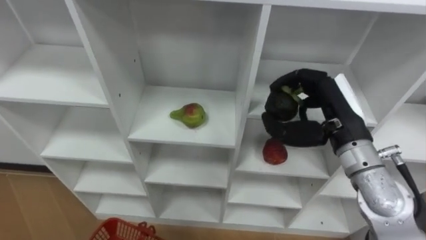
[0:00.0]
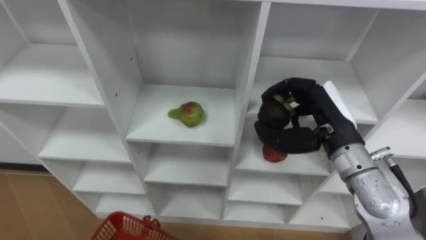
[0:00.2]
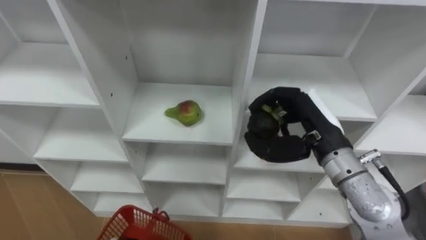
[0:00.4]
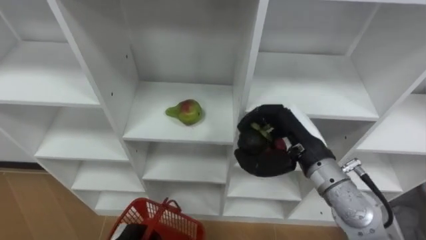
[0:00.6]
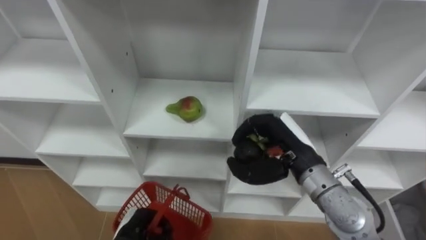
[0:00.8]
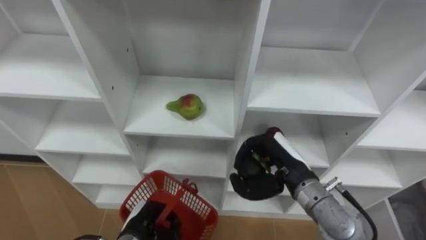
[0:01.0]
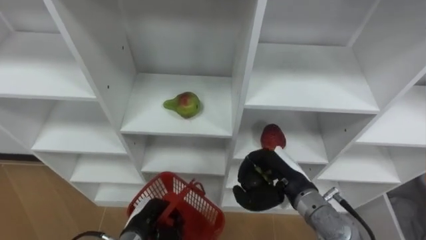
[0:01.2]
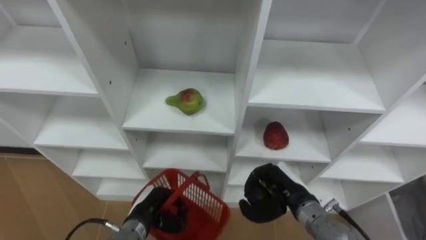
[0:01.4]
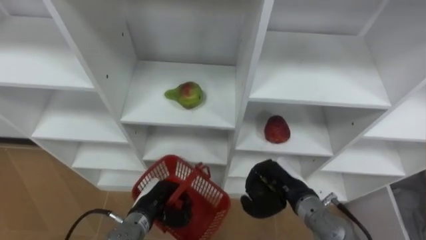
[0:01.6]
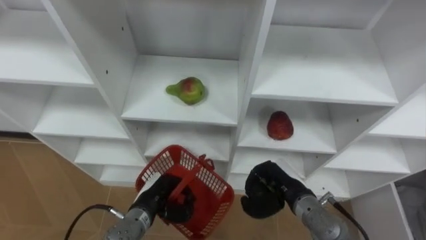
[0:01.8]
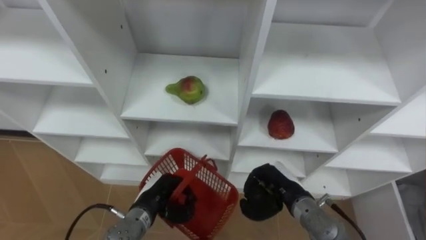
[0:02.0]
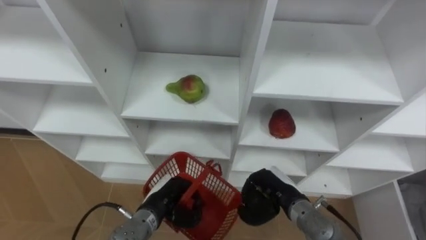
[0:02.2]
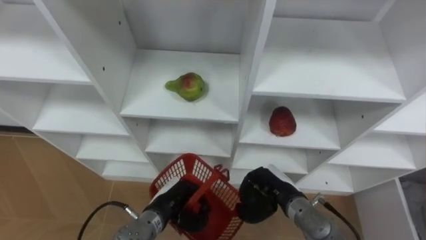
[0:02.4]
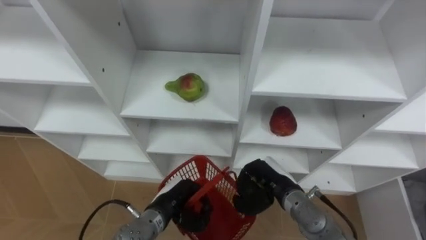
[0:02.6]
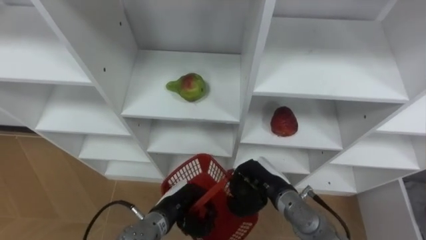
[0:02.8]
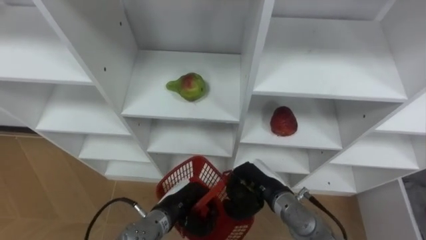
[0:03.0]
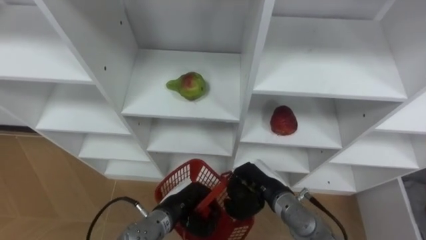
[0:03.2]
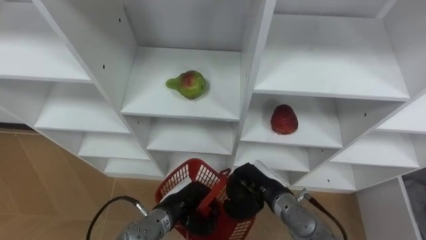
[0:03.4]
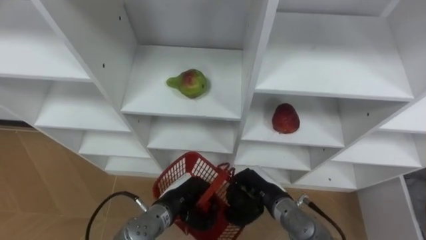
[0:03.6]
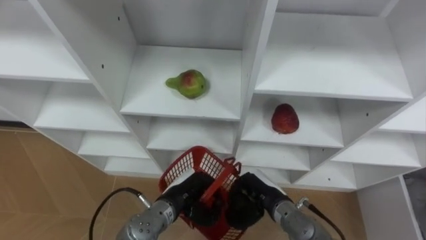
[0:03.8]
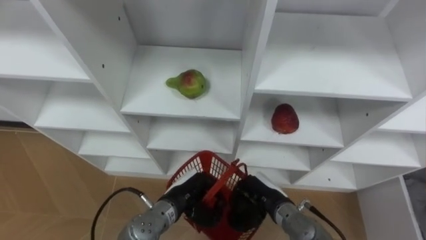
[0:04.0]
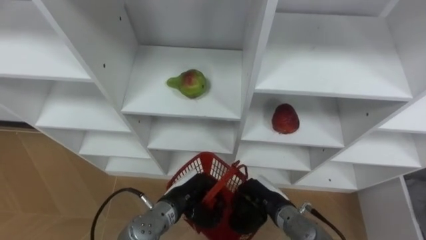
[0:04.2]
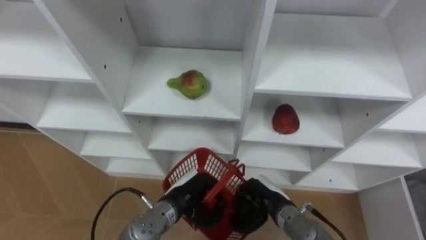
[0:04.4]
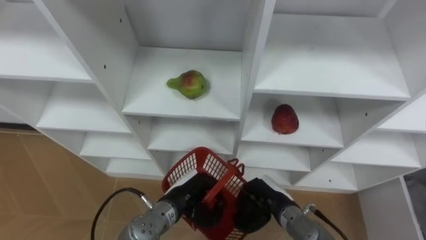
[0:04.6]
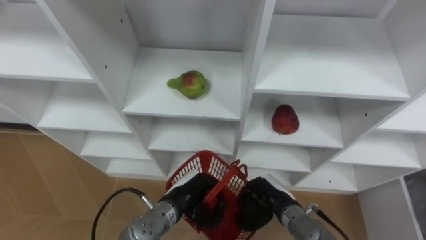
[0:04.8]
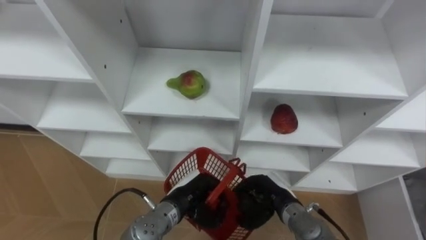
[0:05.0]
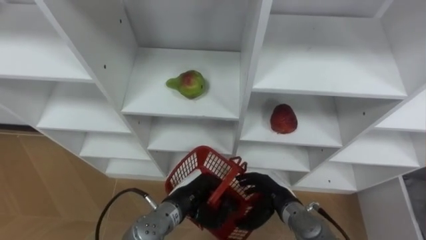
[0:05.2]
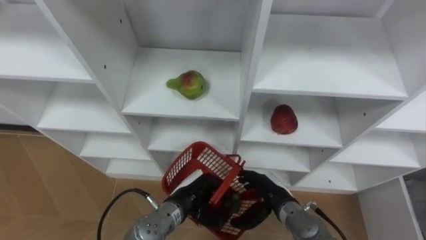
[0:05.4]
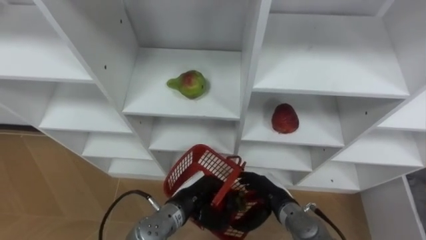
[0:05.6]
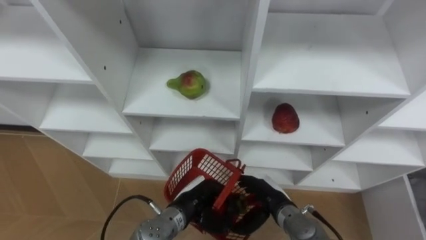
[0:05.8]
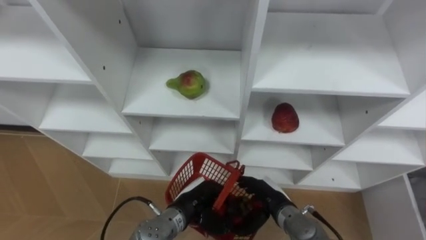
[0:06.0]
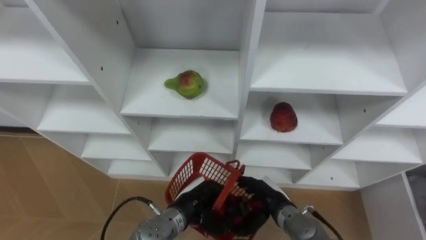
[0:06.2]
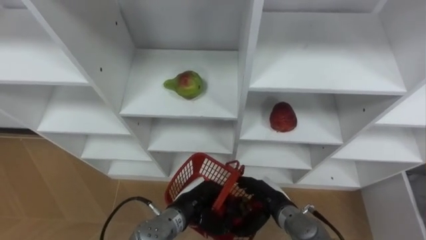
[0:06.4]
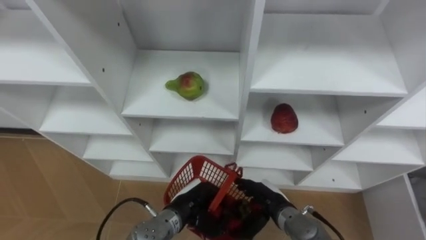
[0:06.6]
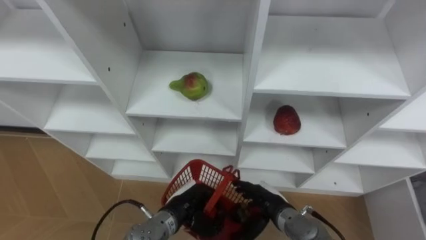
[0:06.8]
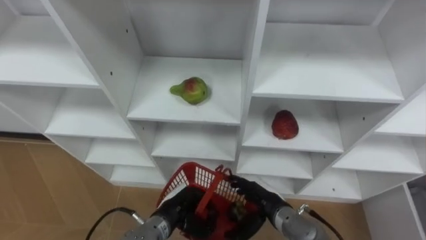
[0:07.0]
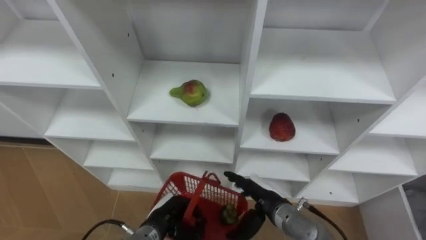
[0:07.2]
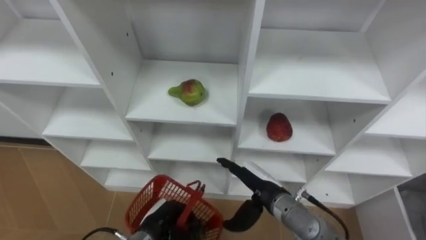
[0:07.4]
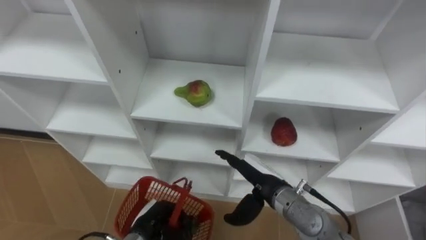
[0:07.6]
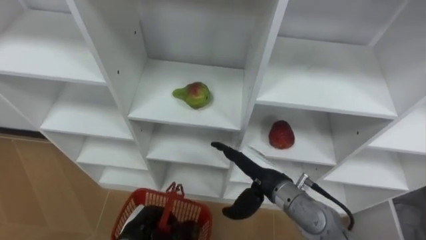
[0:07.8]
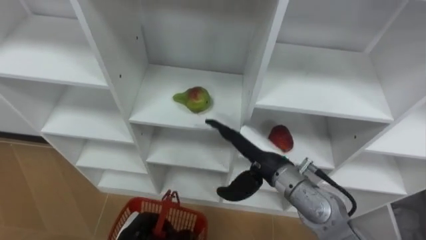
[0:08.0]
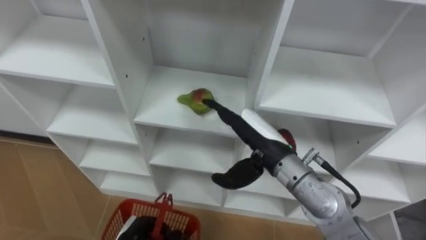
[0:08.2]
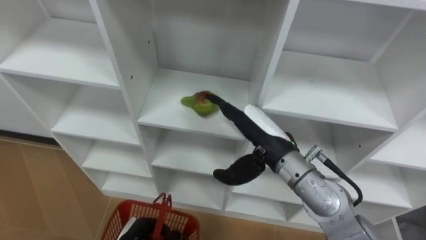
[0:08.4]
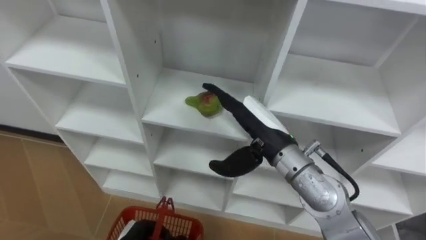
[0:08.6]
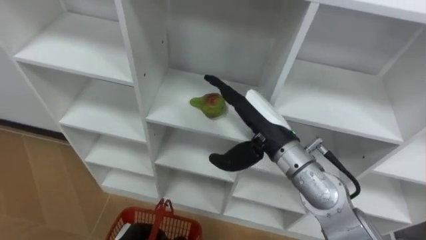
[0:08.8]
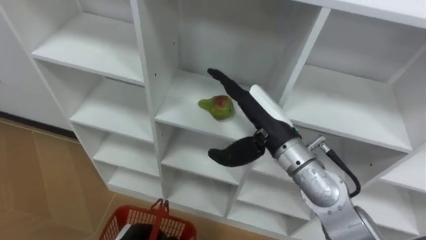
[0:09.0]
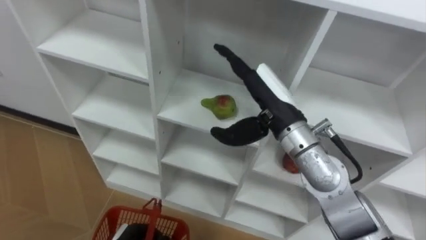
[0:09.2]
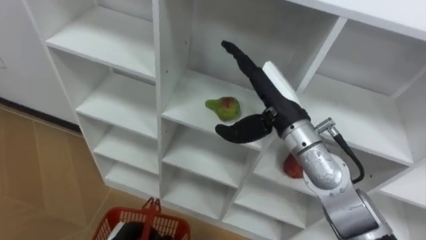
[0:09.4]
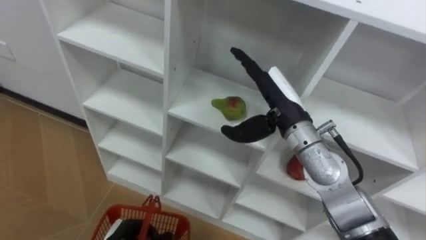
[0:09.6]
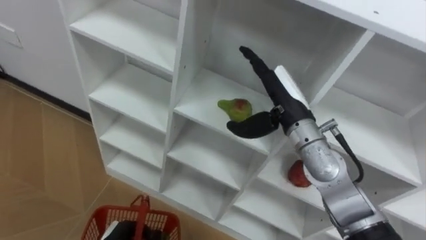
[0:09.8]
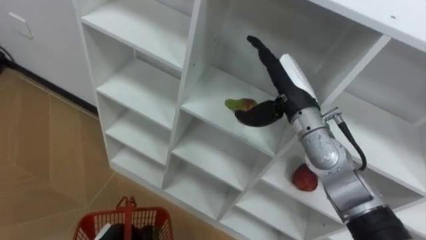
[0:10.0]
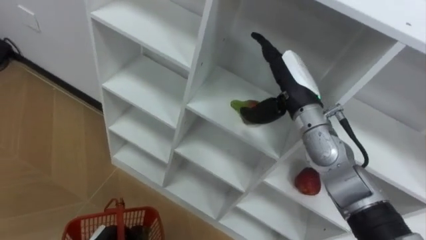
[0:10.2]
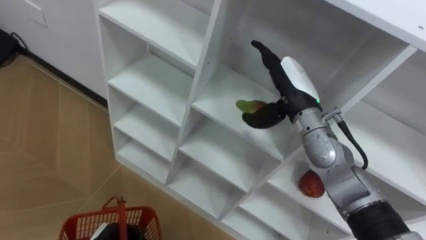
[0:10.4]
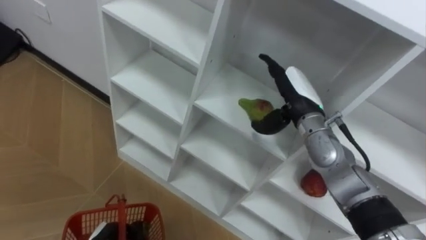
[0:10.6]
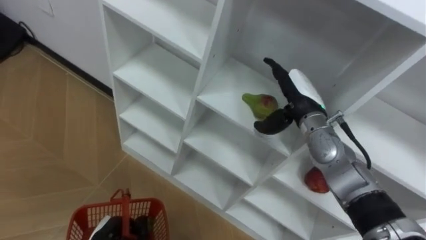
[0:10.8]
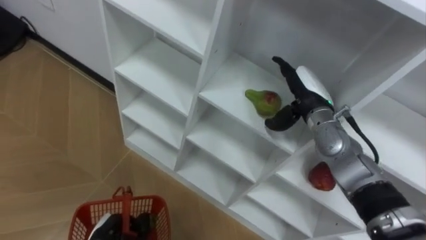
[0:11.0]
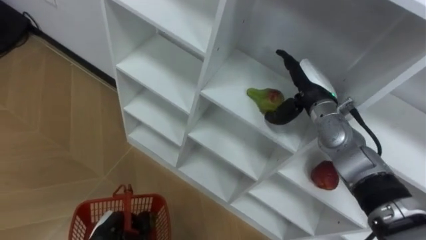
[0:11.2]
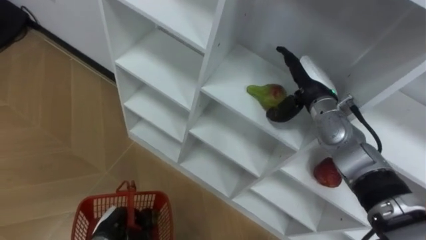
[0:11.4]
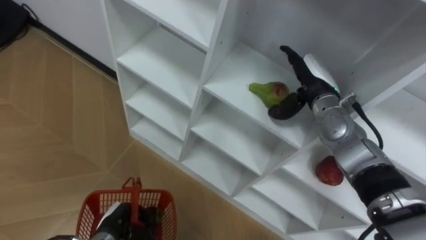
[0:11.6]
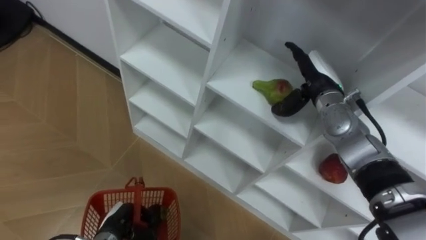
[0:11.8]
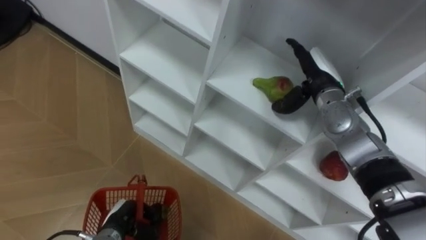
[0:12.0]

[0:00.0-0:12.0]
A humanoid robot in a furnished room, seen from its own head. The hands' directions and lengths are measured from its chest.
Task of the whole recording: Hold the basket and collect the fruits from 3 different cells of the closet into it.
0:00.0 to 0:01.6: The right hand shifts roughly 20 cm downward.
0:01.6 to 0:03.0: The left hand travels to the right by roughly 5 cm. Meanwhile the right hand ends up roughly 5 cm from where it was.
0:03.0 to 0:04.4: The hands move only a little.
0:04.4 to 0:06.0: The right hand opens its fingers.
0:06.0 to 0:07.6: The right hand heads upward, covering some 10 cm. The left hand heads to the left, covering roughly 10 cm.
0:07.6 to 0:09.0: The right hand is displaced upward by some 15 cm.
0:09.0 to 0:10.4: The right hand shifts roughly 10 cm forward and to the right.
0:10.4 to 0:12.0: The right hand moves to the right and forward, about 10 cm.

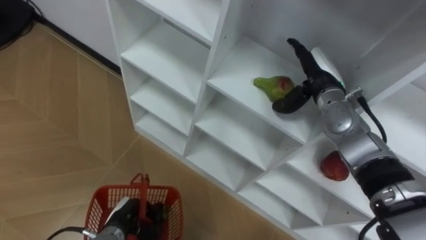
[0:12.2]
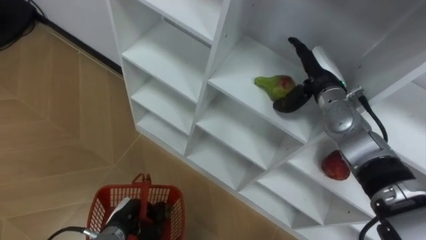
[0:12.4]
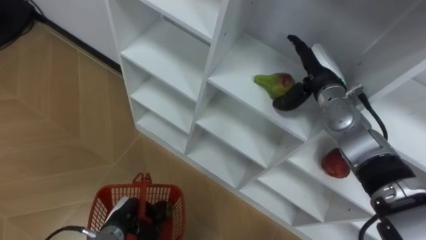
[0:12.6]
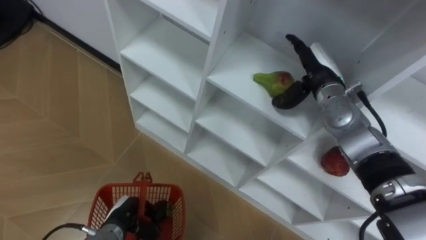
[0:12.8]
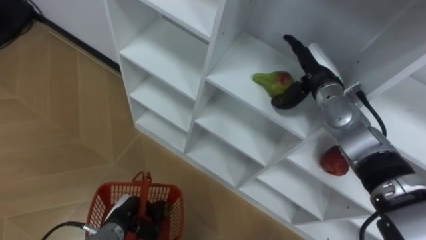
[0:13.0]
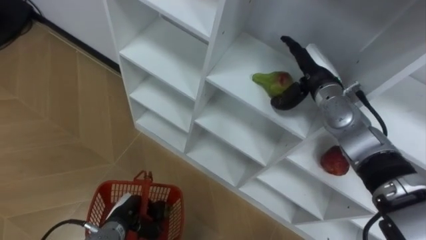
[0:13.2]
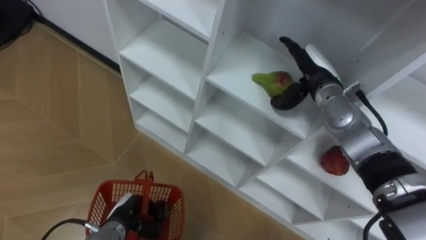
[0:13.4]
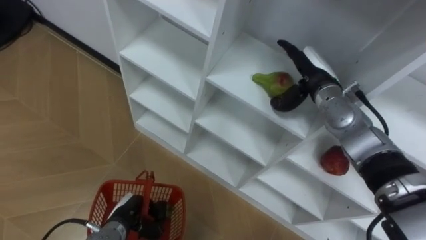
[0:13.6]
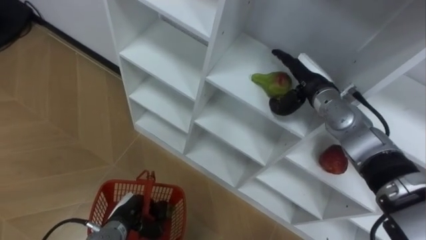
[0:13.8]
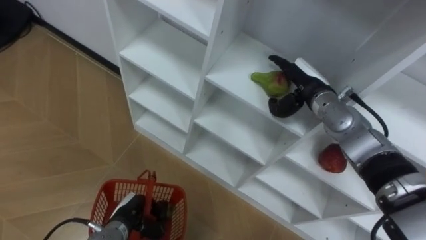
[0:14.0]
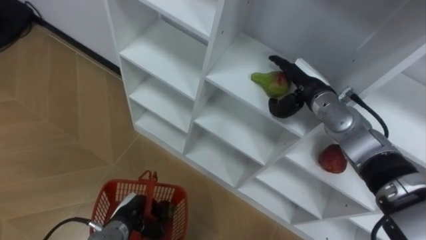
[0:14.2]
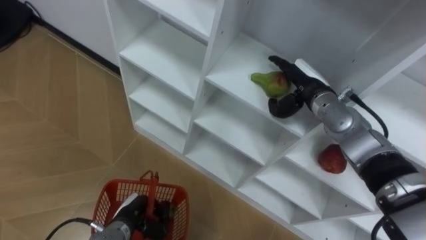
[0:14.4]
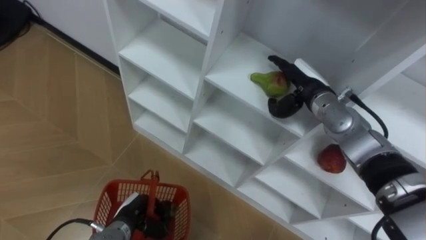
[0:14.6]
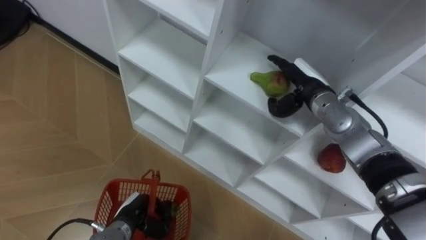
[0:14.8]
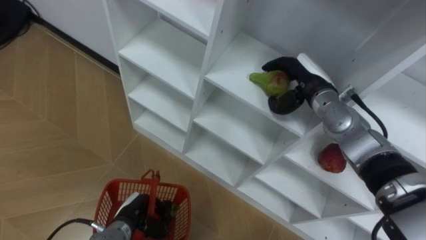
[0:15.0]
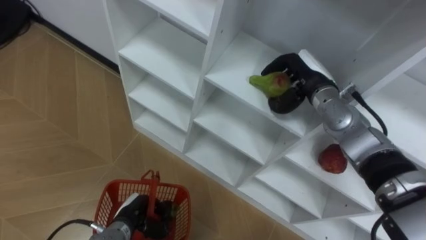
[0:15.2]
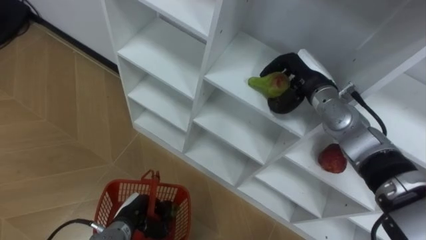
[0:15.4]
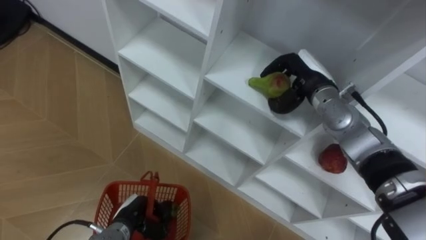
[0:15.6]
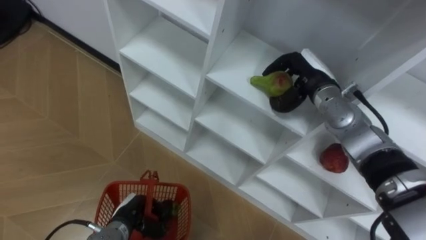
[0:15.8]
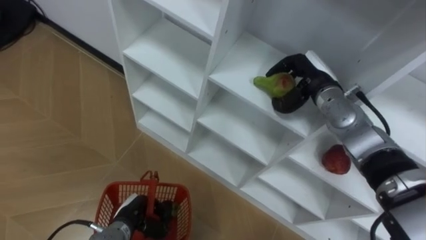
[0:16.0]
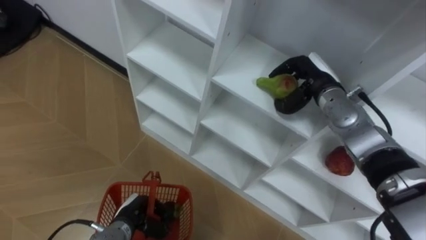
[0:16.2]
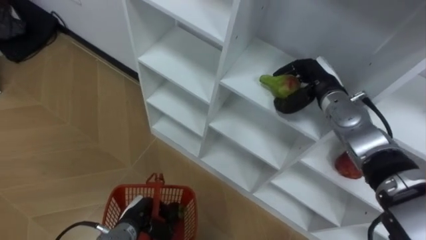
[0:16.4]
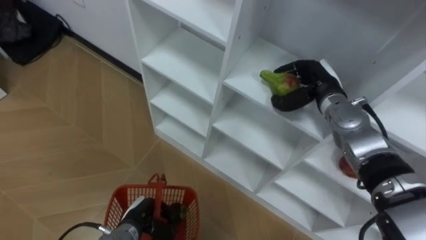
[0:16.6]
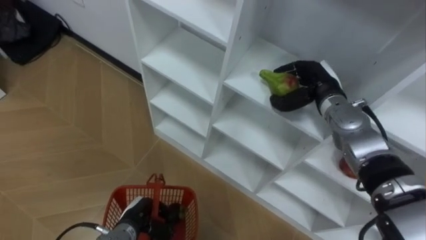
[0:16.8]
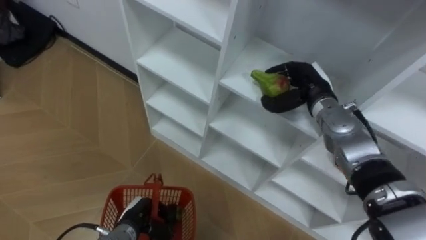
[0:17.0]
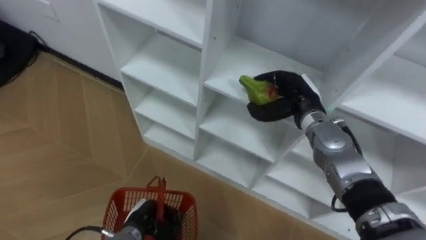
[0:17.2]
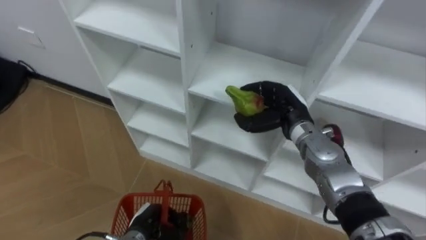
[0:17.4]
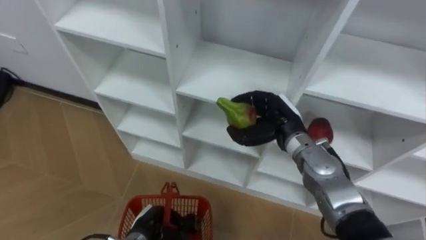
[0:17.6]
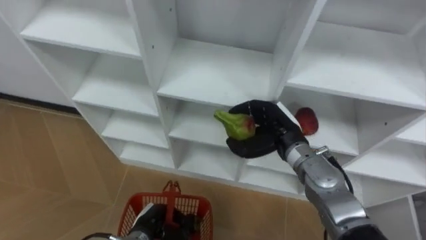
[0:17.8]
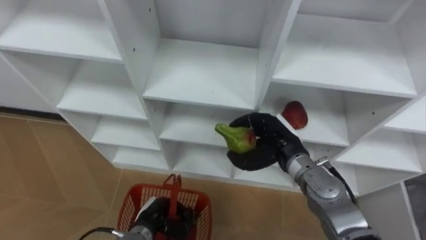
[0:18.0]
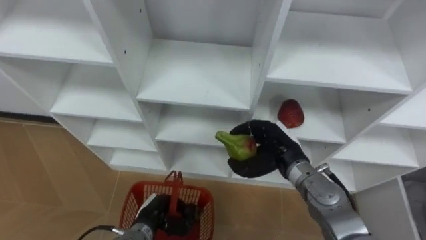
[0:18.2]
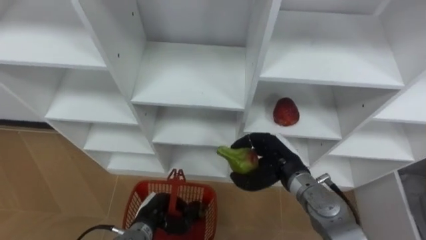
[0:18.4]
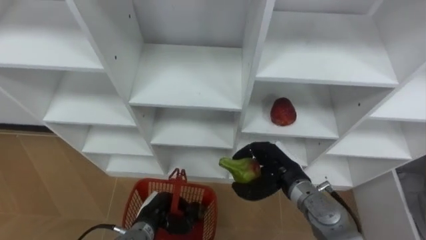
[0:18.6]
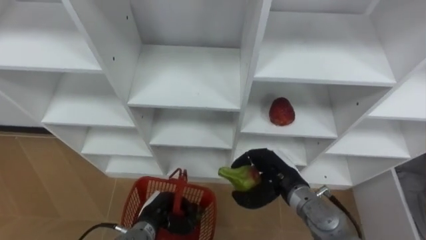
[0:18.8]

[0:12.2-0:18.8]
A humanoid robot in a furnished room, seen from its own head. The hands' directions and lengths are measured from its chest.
Task of the whole recording: Hold the basket and collect the fruits from 3 different cells of the closet into it.
0:12.2 to 0:13.8: The hands stay close to where they were, moving slightly.
0:13.8 to 0:15.4: The right hand closes its fingers.
0:17.2 to 0:18.8: The right hand heads backward and downward, covering approximately 15 cm.
